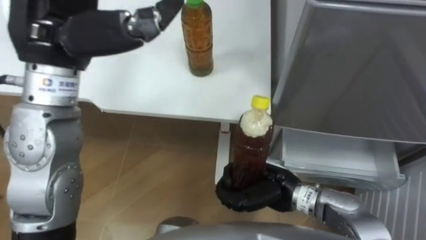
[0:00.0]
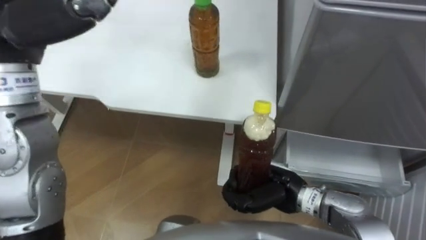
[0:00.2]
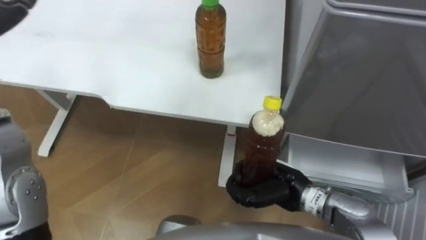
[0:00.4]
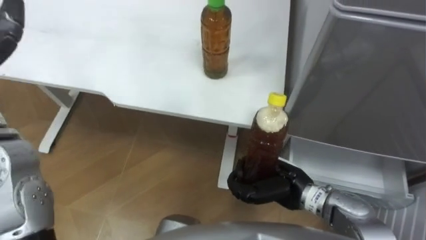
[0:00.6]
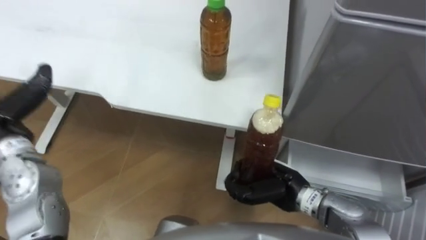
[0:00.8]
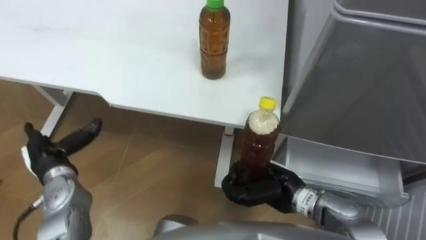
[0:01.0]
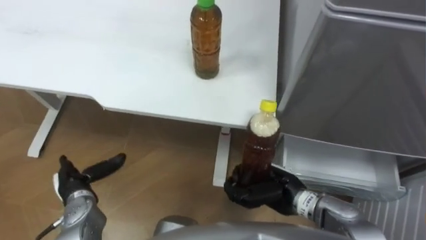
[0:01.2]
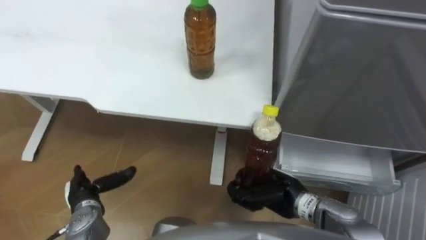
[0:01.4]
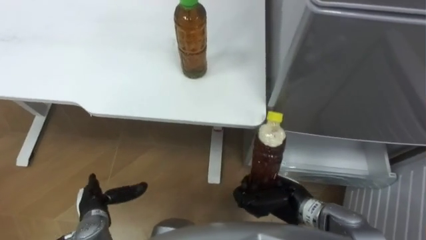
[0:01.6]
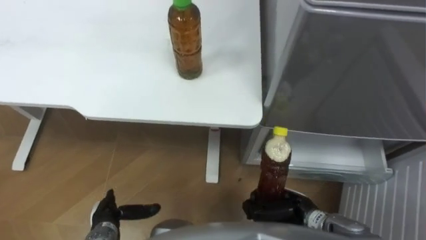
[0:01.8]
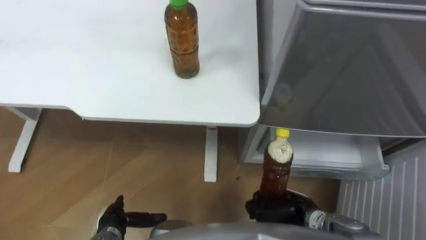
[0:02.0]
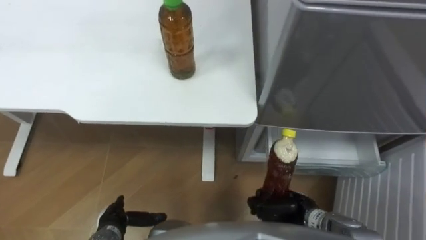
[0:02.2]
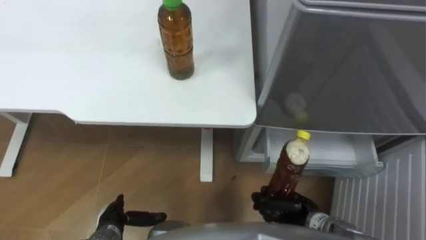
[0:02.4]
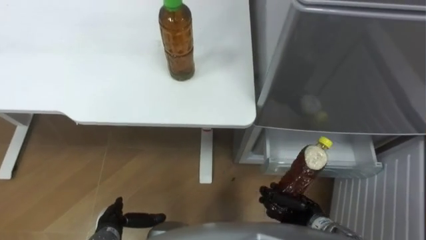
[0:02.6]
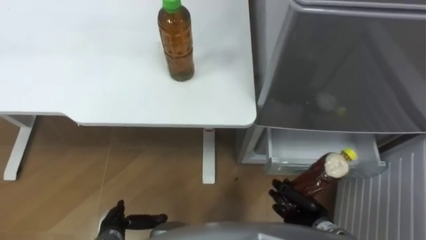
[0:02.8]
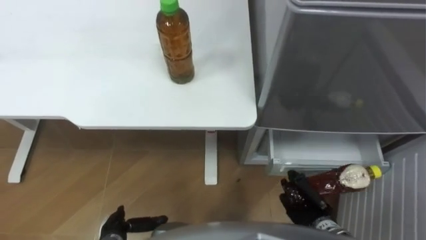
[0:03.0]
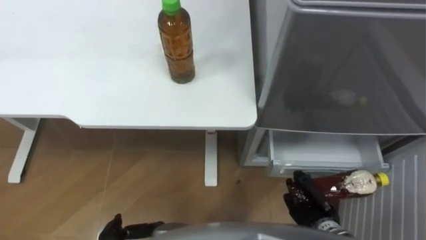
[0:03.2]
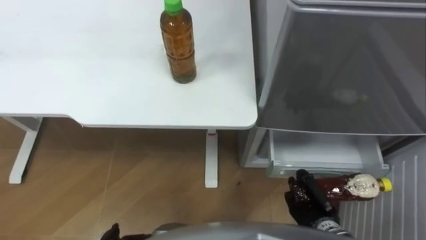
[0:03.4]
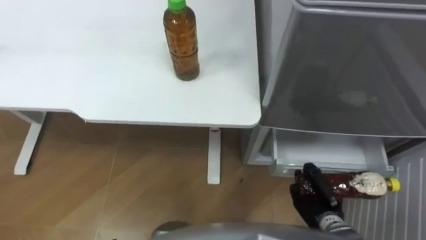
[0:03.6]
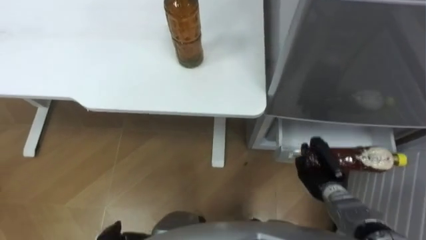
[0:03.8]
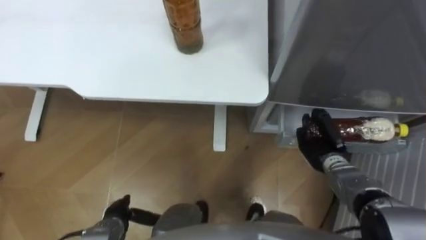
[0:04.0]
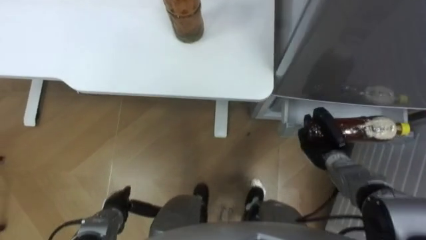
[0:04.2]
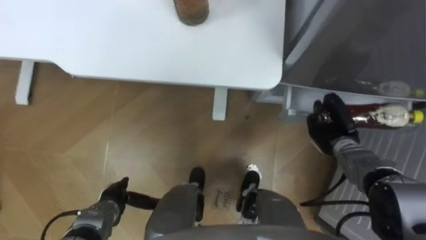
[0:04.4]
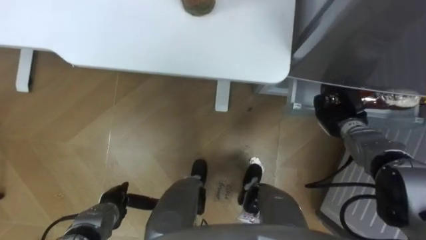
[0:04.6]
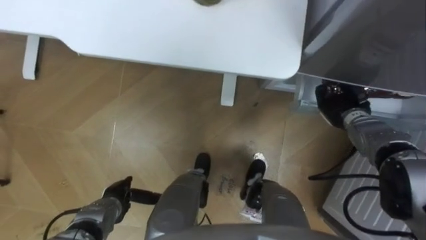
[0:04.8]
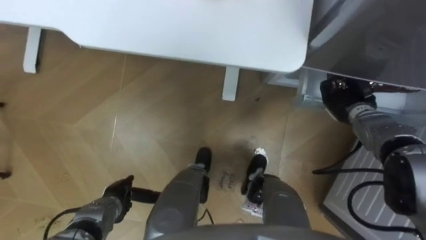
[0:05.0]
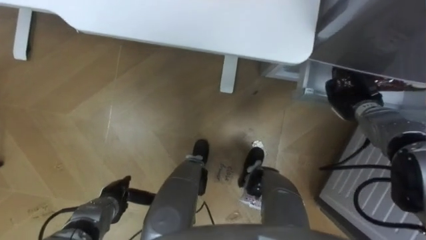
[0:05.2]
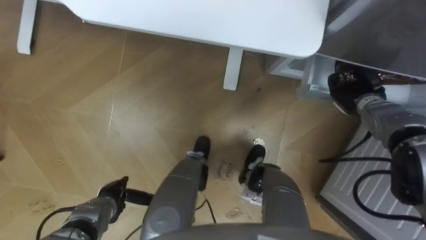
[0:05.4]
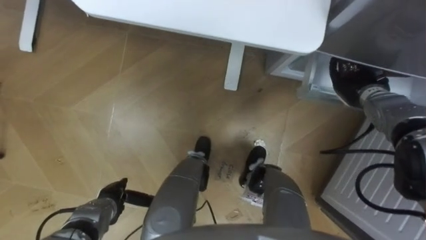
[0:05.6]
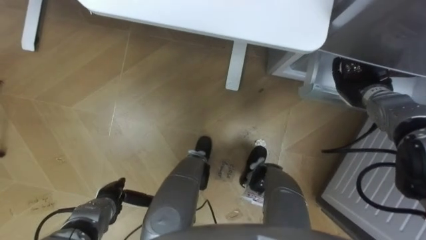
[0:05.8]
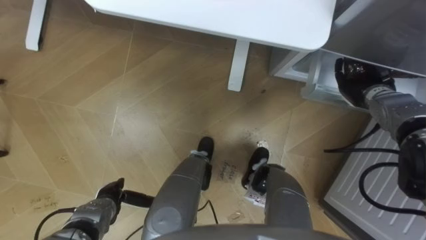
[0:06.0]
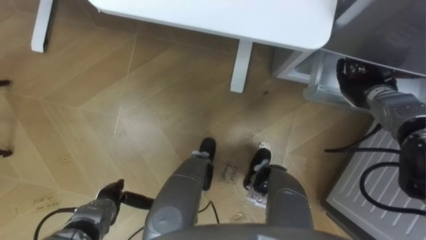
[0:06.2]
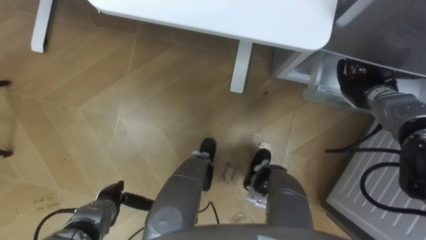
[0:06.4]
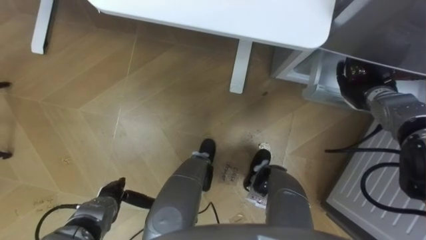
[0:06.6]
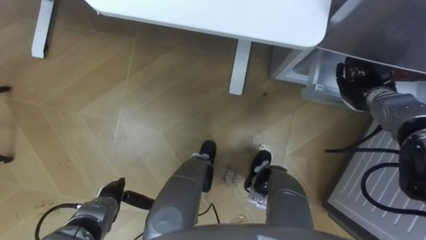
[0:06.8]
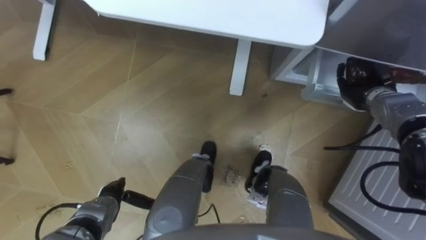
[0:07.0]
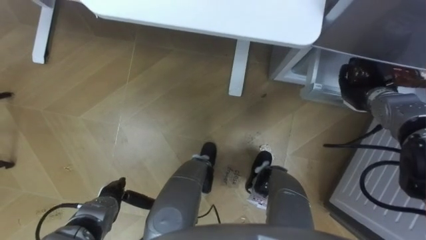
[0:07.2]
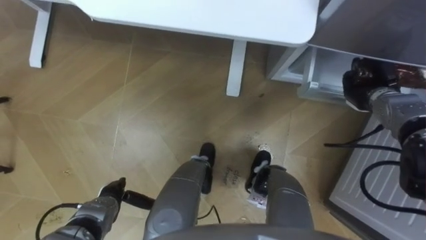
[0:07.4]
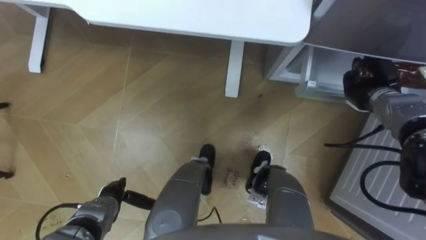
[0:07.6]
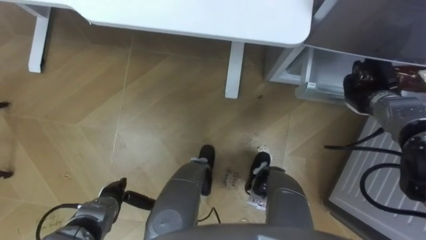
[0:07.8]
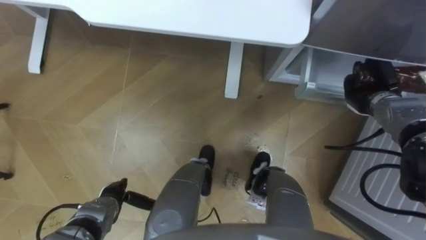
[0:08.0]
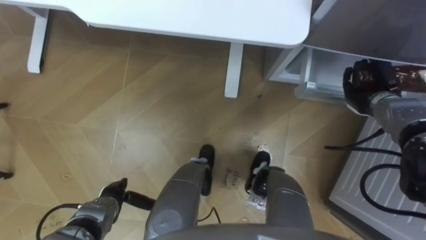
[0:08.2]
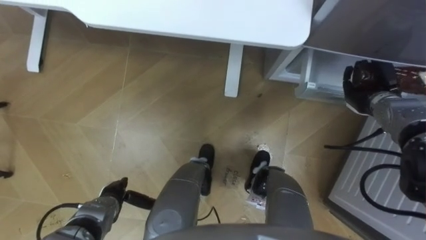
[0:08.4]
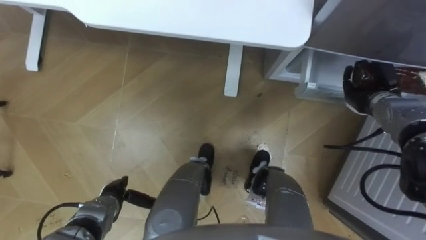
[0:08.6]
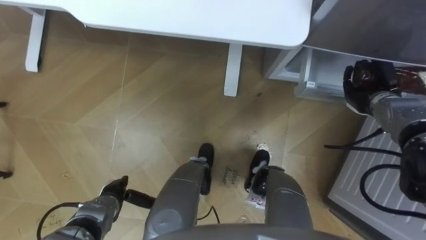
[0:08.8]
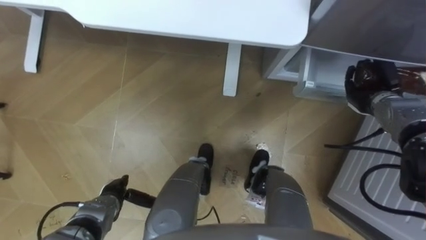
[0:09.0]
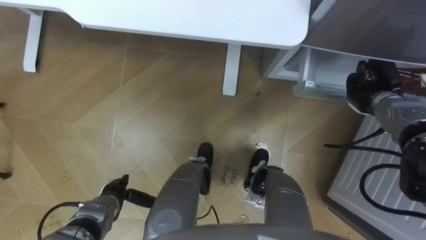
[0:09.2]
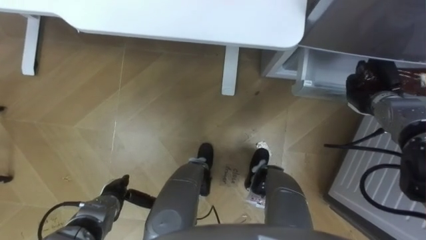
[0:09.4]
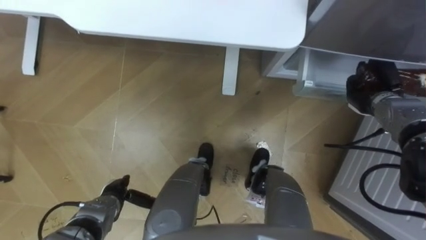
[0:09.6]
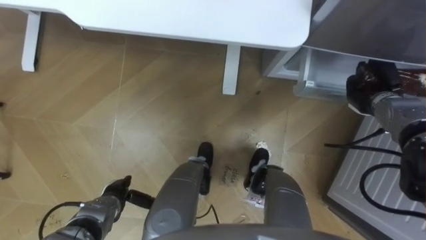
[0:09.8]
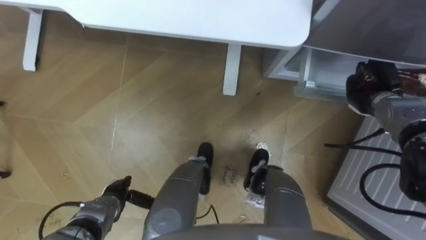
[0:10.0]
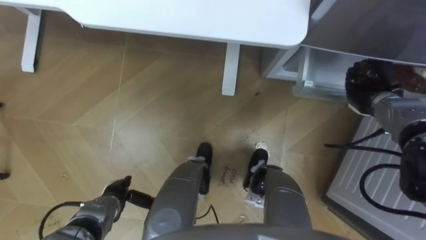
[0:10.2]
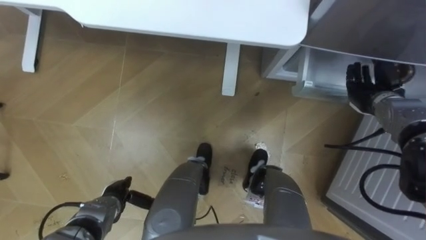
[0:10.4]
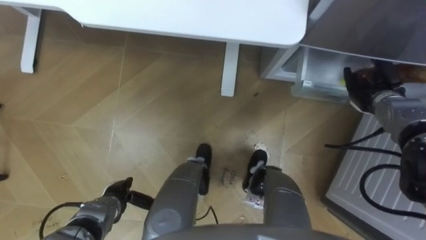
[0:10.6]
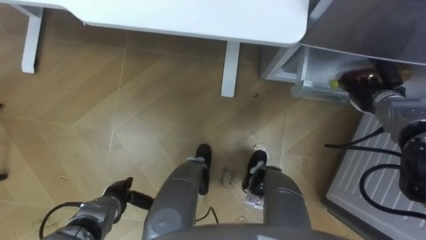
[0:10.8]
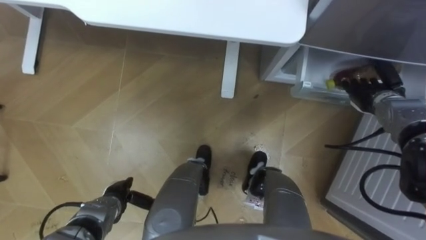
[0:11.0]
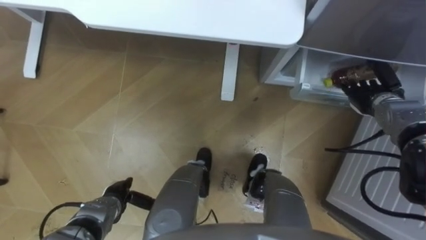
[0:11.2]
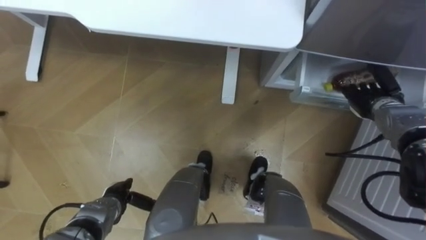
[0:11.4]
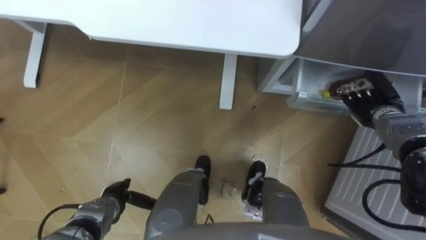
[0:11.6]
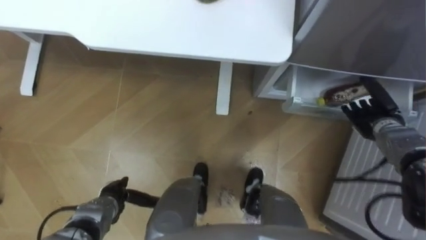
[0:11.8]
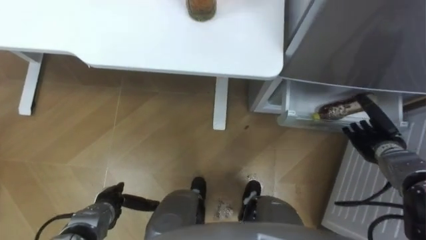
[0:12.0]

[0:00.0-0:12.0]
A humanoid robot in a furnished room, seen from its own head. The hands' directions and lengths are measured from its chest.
Task of the whole recording: Place the drink on the table on the bottom shelf of the refrigerator, then close the drawer and the refrigerator door.
0:00.0 to 0:01.6: The right hand is displaced downward by some 5 cm.
0:01.6 to 0:03.0: The right hand moves to the right and downward, some 10 cm; the left hand goes about 5 cm backward.
0:03.0 to 0:04.4: The right hand shifts about 15 cm forward.
0:04.4 to 0:06.0: The right hand moves forward and upward, approximately 10 cm.
0:07.6 to 0:09.0: Both hands stay about where they are.
0:09.0 to 0:10.4: The right hand opens.
0:10.4 to 0:12.0: The right hand heads backward and downward, covering roughly 10 cm.

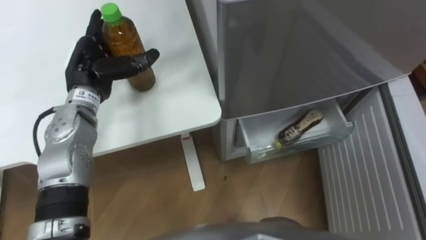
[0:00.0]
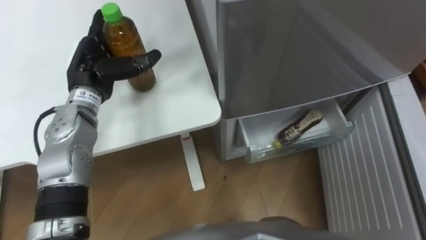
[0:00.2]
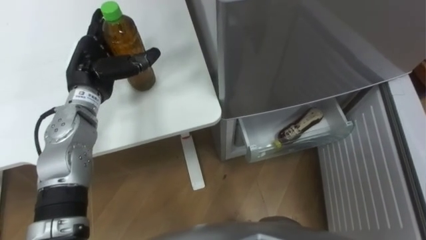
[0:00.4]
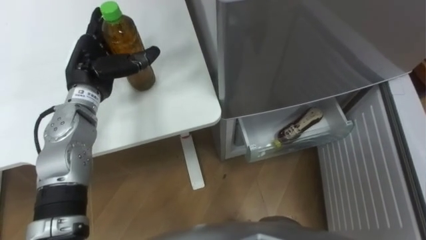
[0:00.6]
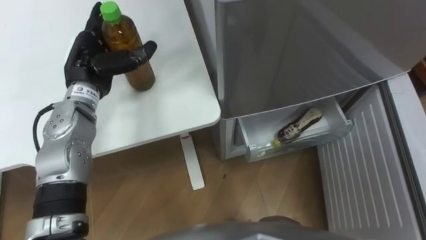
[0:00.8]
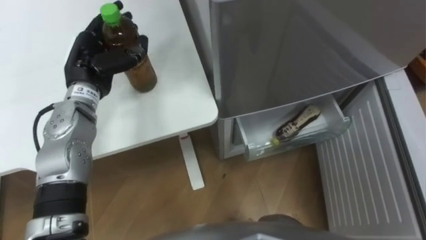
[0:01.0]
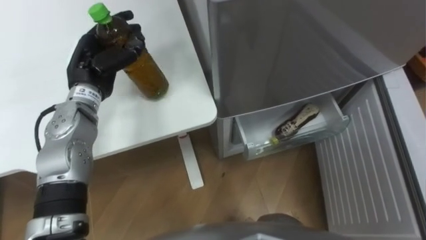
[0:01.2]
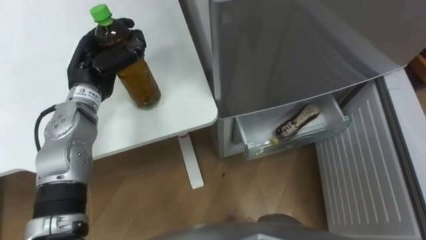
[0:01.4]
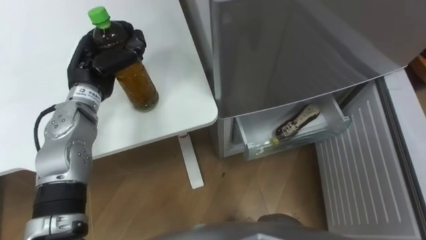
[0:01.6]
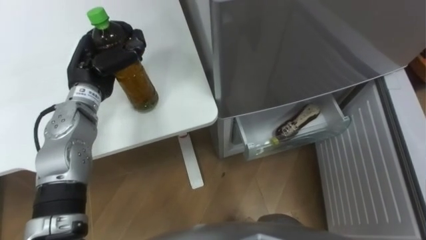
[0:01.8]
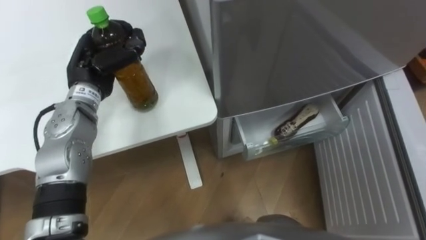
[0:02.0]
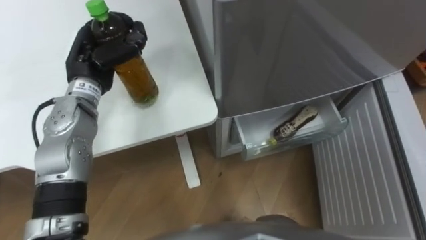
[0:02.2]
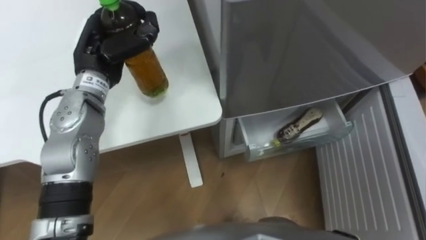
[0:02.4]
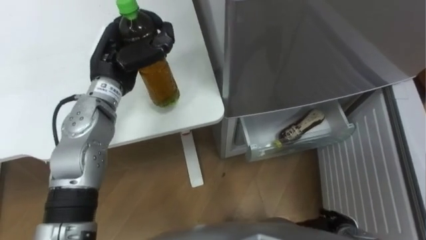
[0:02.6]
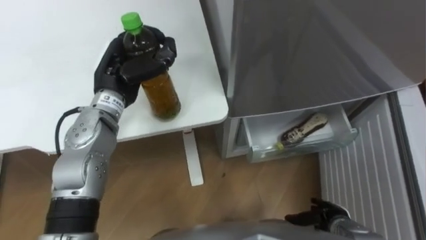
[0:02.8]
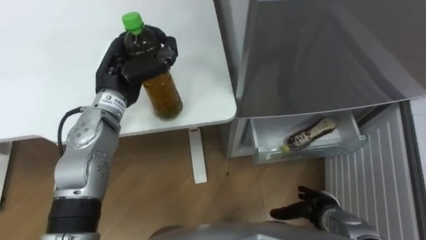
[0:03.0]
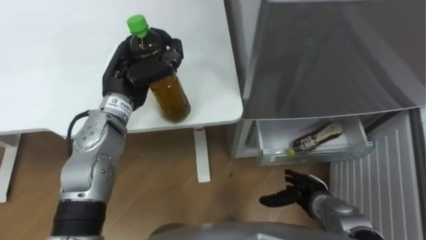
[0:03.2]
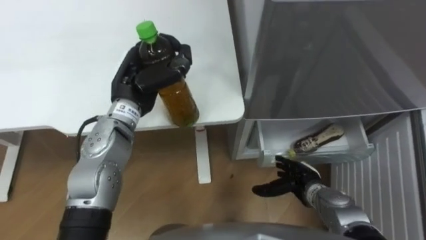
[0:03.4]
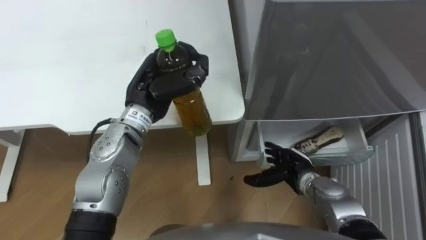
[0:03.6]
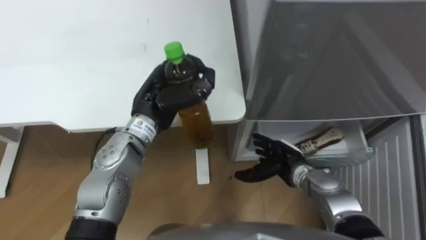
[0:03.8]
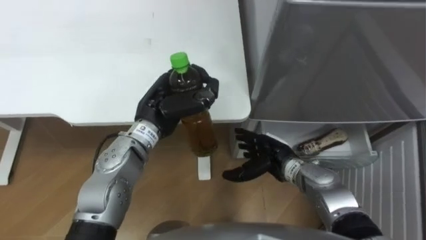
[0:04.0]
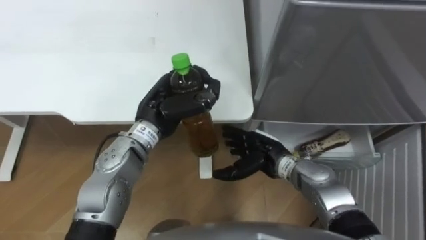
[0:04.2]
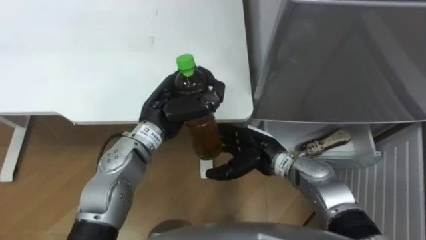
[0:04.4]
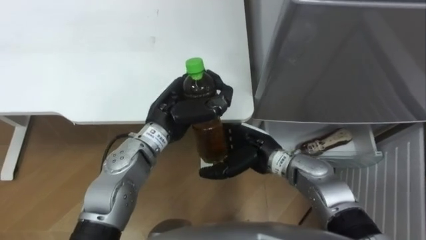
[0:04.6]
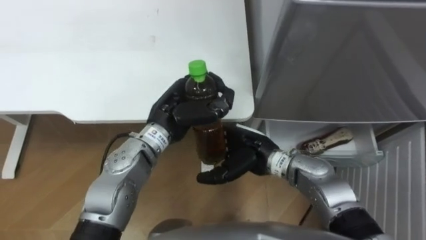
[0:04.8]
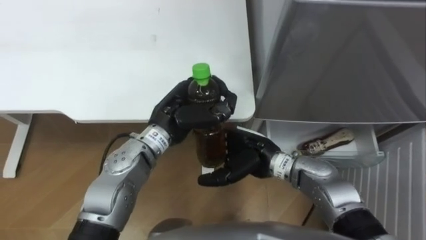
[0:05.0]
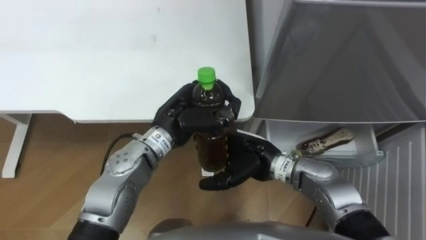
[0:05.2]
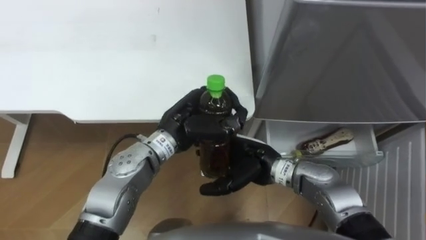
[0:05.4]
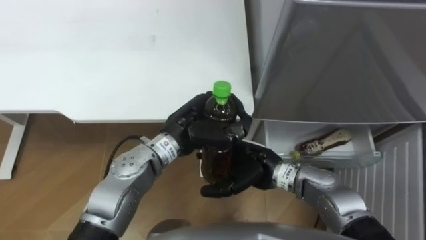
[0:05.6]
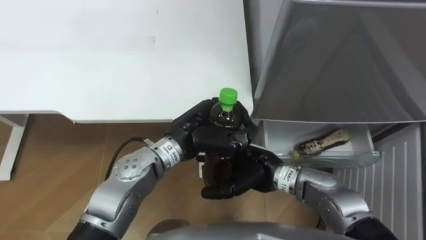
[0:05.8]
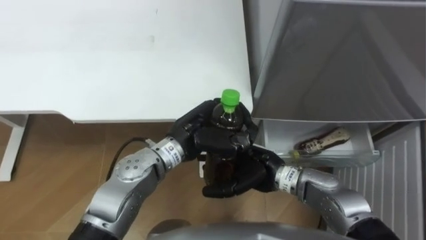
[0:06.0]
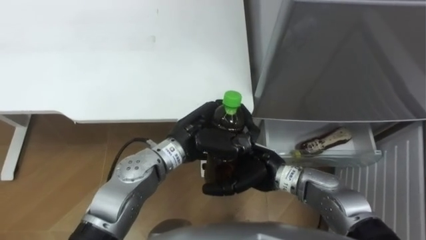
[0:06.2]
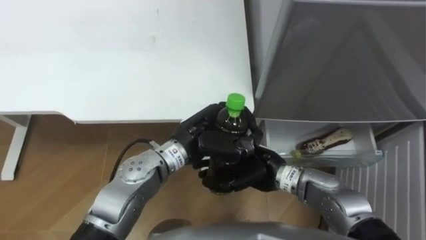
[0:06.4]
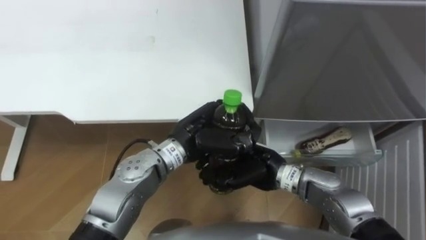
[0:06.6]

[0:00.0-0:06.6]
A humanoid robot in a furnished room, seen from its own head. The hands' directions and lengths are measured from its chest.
Task of the whole recording: Place the drink on the table on the bottom shelf of the refrigerator, then close the drawer and the refrigerator door.
0:00.0 to 0:01.6: The left hand closes.
0:01.6 to 0:03.2: The left hand heads to the right, covering approximately 5 cm.
0:03.2 to 0:05.0: The right hand is displaced to the left, upward and forward by some 20 cm. Meanwhile the left hand travels to the right by about 10 cm.
0:05.0 to 0:06.6: The left hand changes place by some 5 cm; the right hand closes up.
